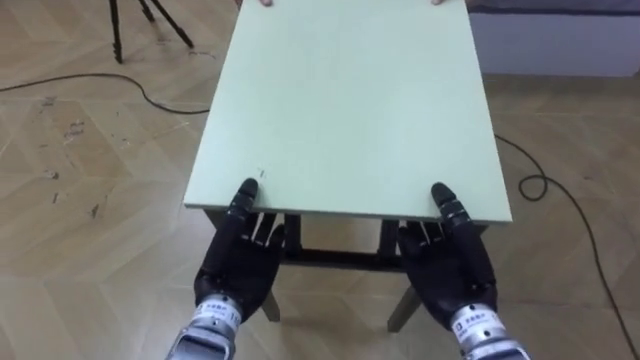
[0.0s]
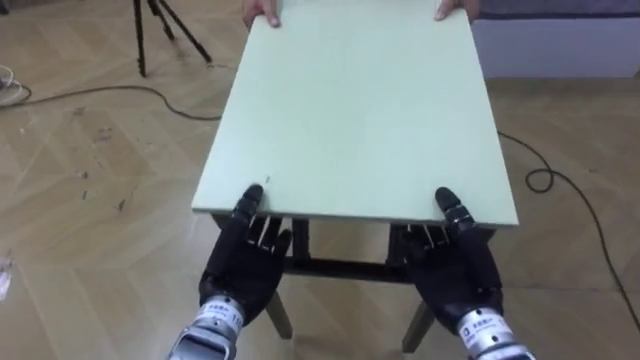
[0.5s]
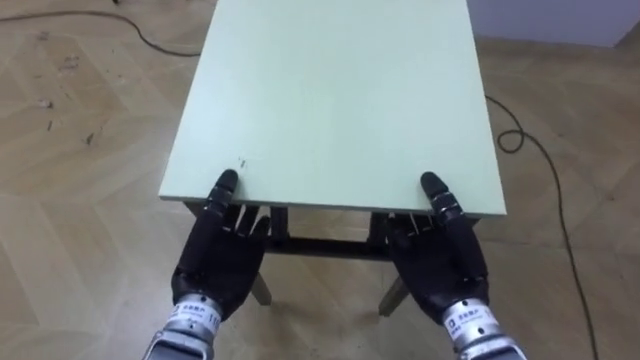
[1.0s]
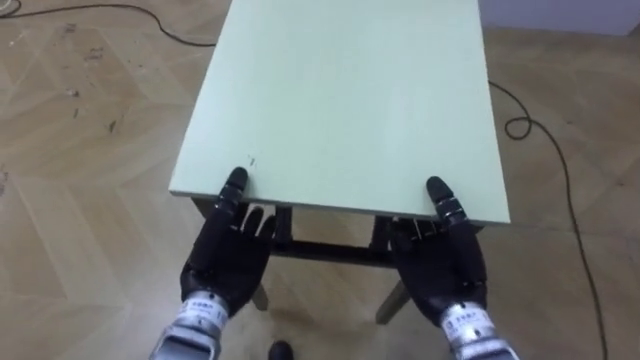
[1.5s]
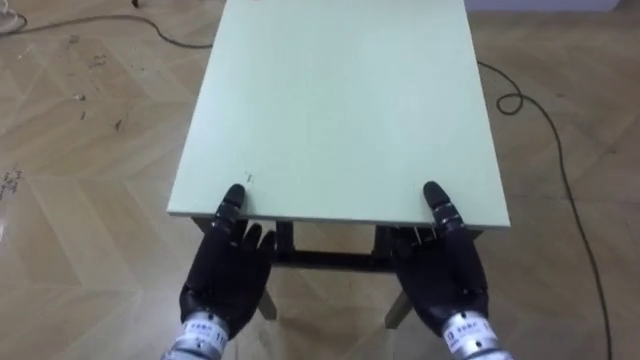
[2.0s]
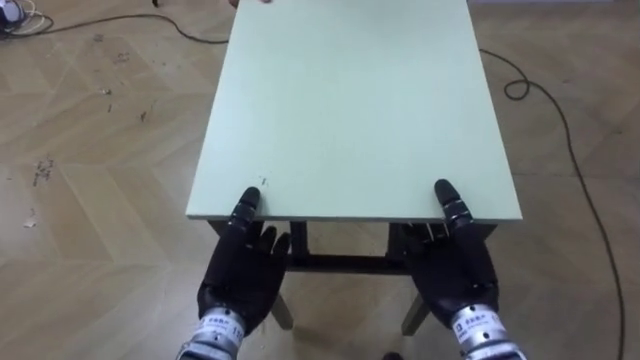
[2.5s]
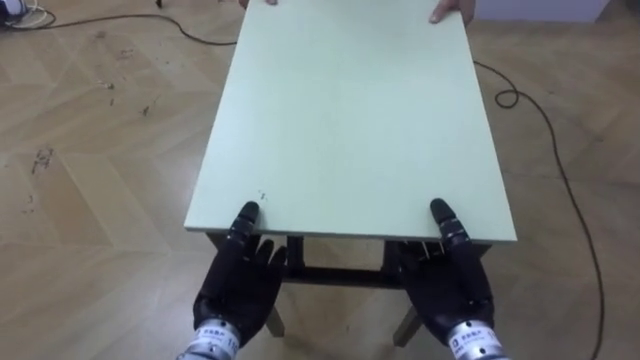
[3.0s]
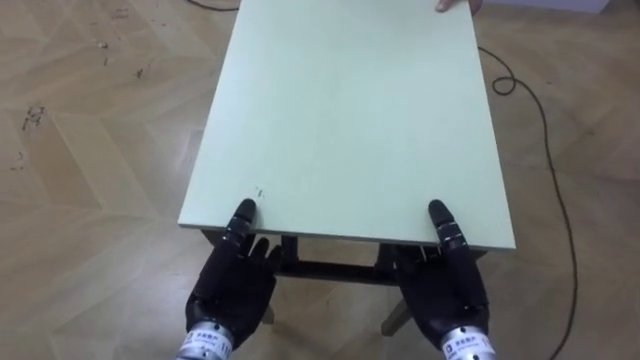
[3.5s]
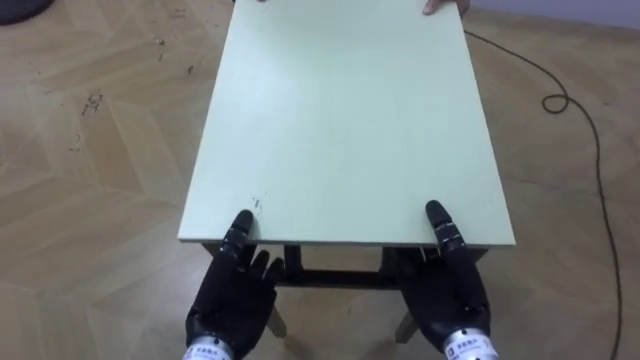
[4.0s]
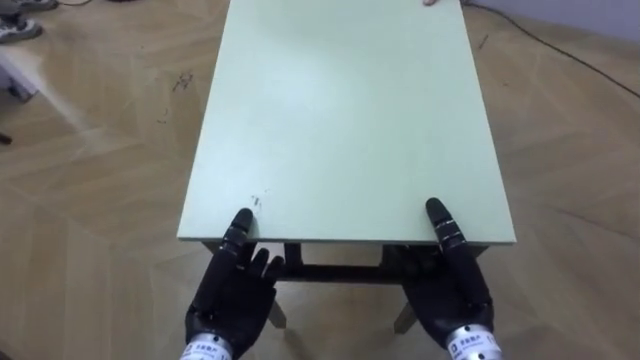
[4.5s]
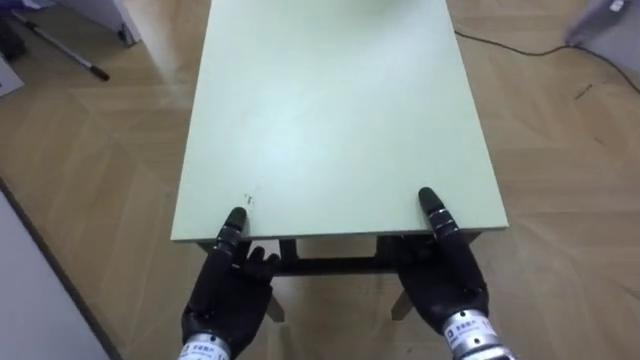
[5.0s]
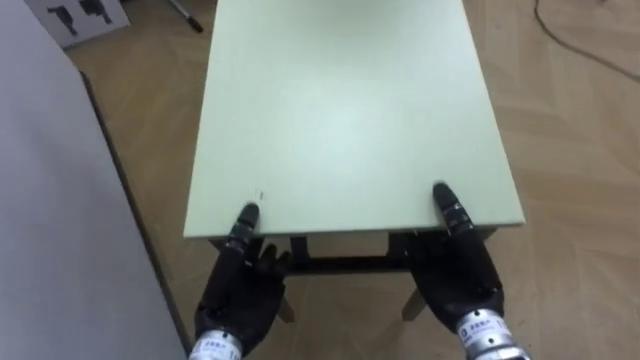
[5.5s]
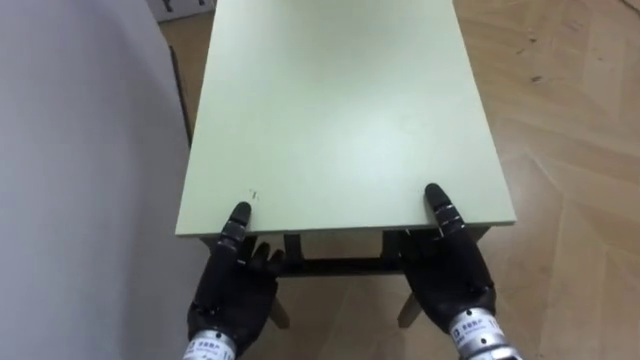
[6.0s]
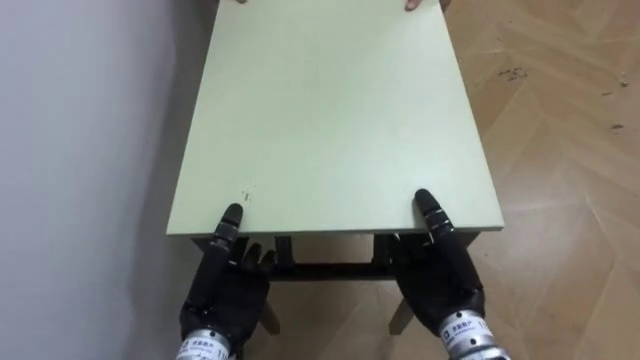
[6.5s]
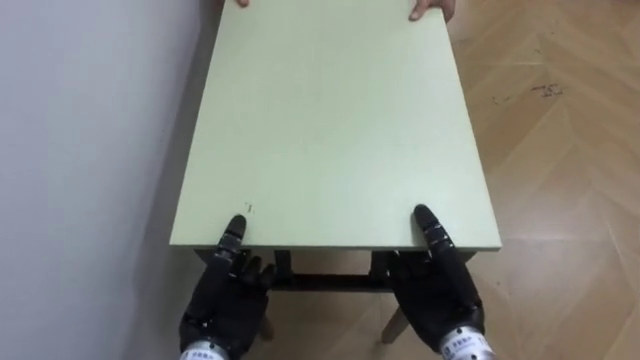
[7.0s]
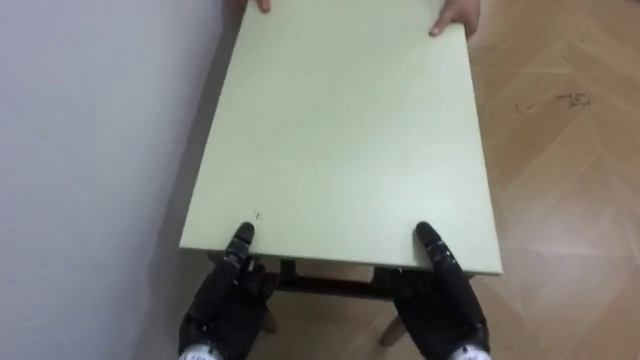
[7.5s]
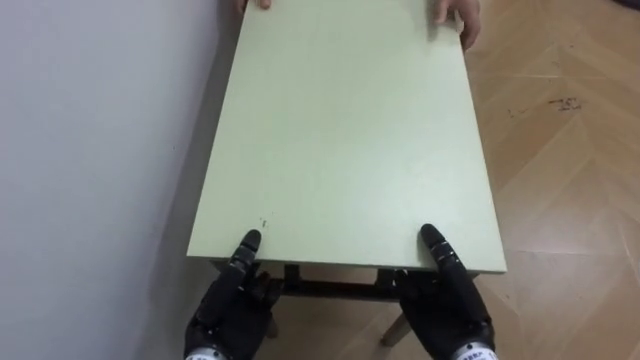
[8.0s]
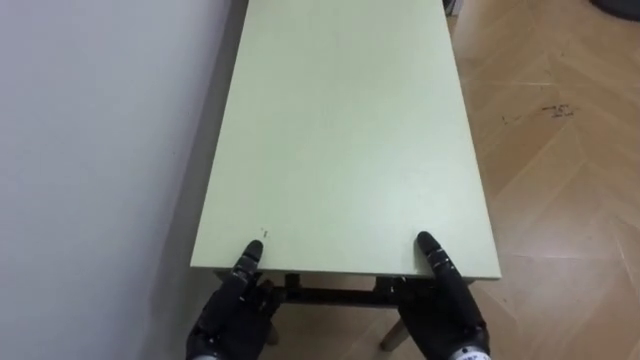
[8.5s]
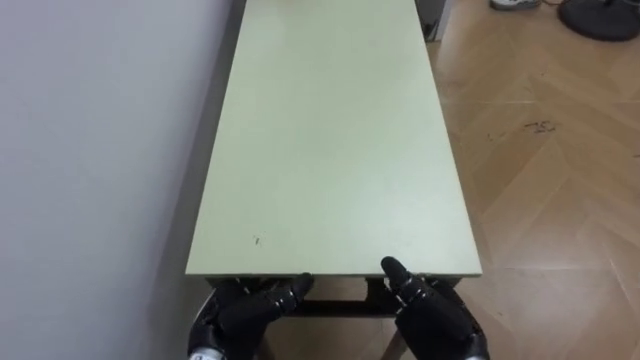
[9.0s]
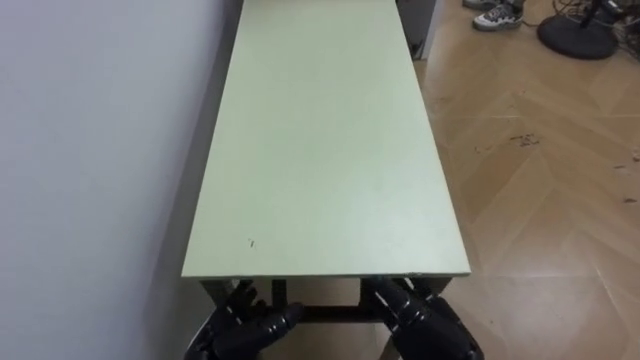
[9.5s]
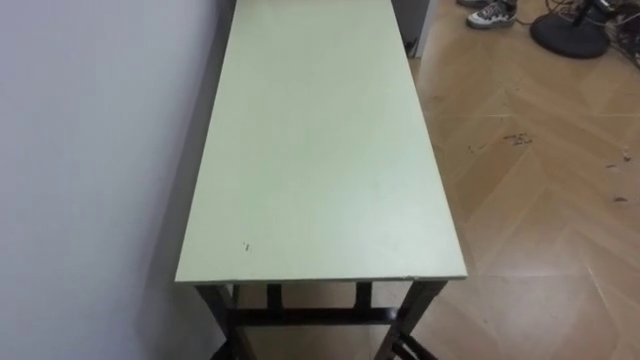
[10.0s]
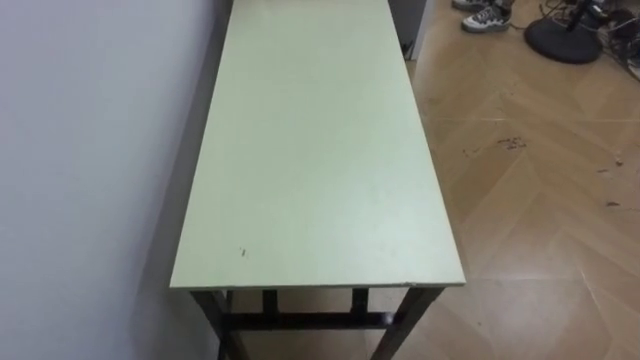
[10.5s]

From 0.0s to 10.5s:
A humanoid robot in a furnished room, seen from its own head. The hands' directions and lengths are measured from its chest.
Task of the whole recording: Move the table to the back left with someone.
From 4.0s to 6.5s: The robot faces roughly 65 degrees further to its left.
From 6.5s to 8.5s: The right hand moves downward, roughly 5 cm; the left hand ends up roughly 5 cm from where it was.

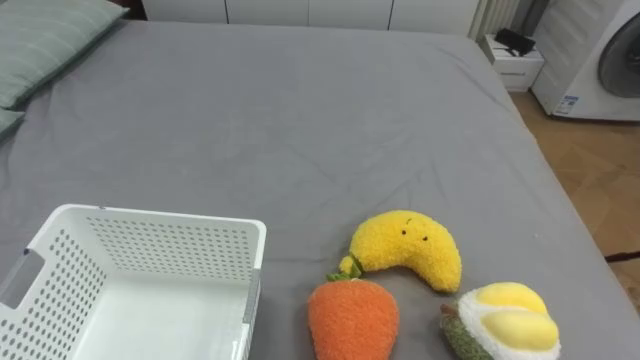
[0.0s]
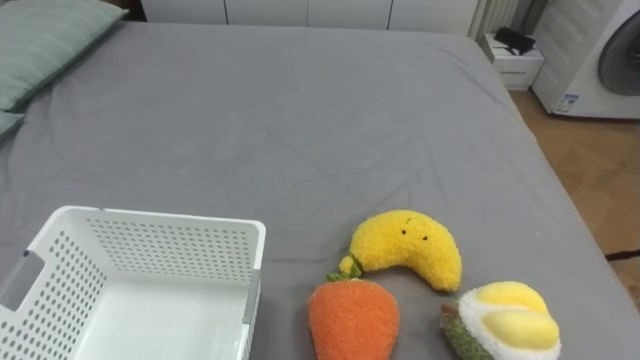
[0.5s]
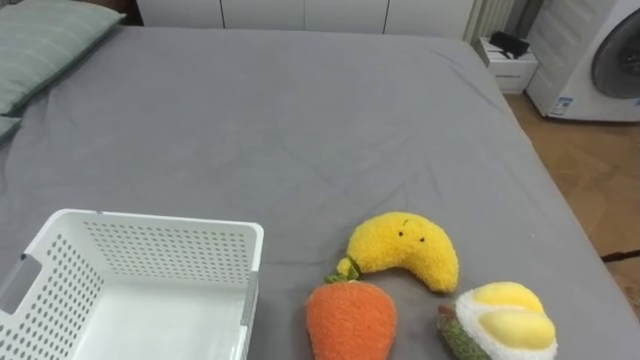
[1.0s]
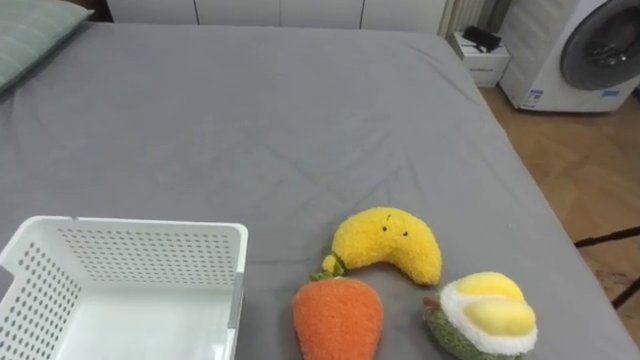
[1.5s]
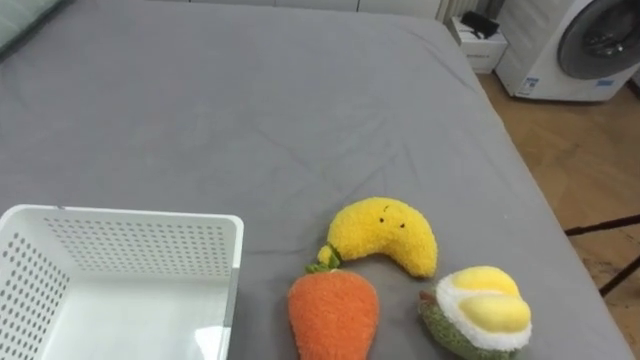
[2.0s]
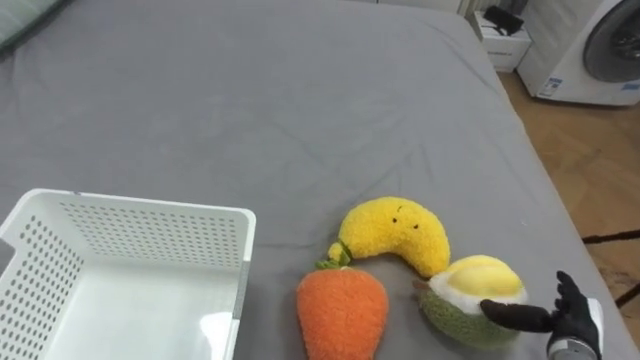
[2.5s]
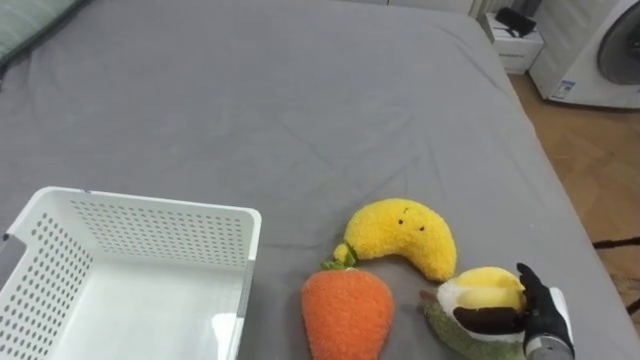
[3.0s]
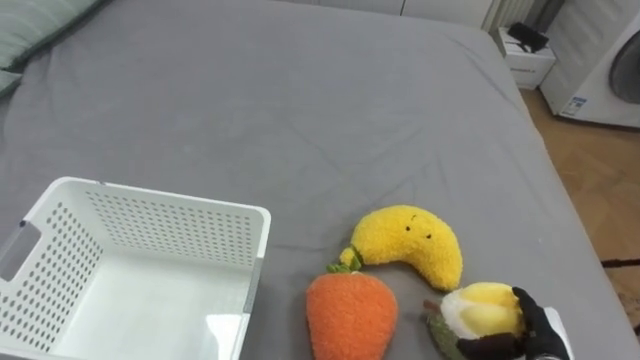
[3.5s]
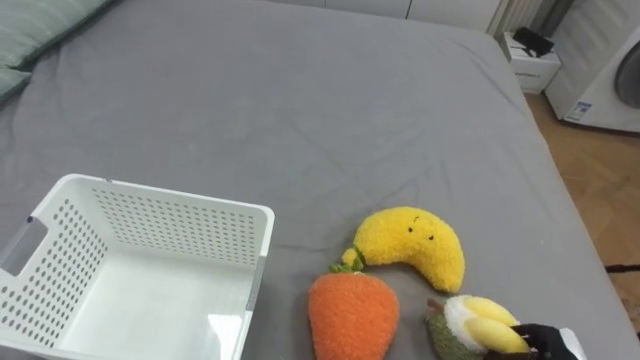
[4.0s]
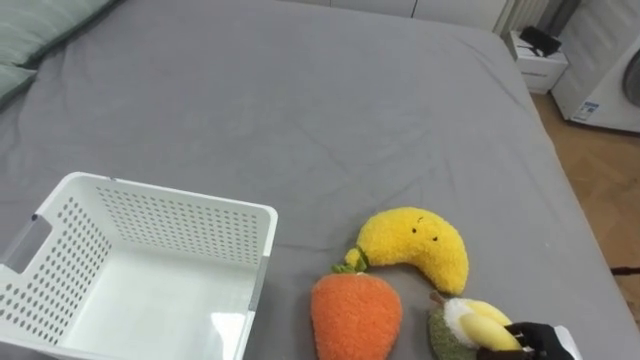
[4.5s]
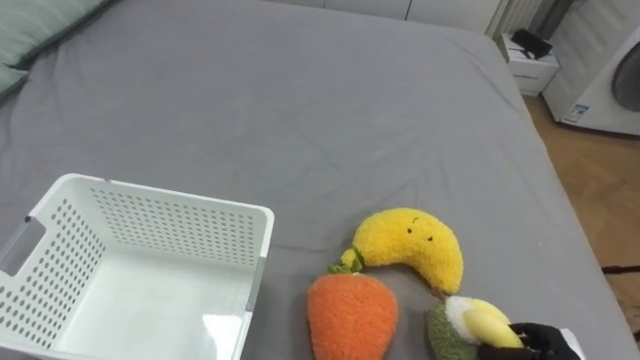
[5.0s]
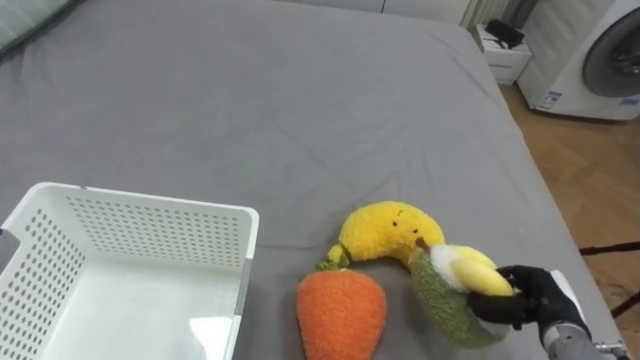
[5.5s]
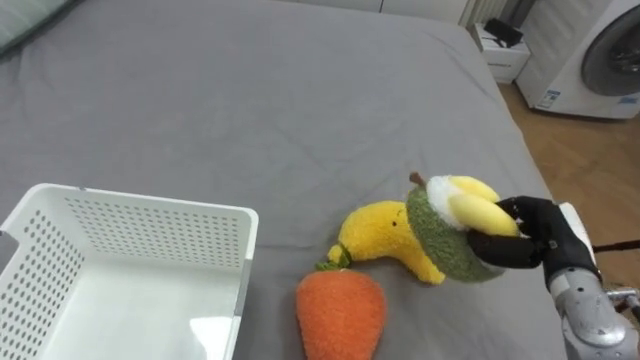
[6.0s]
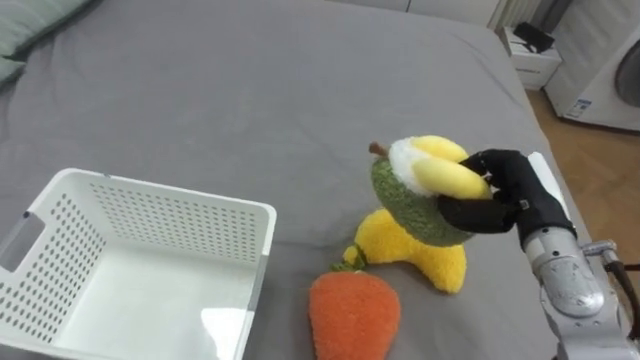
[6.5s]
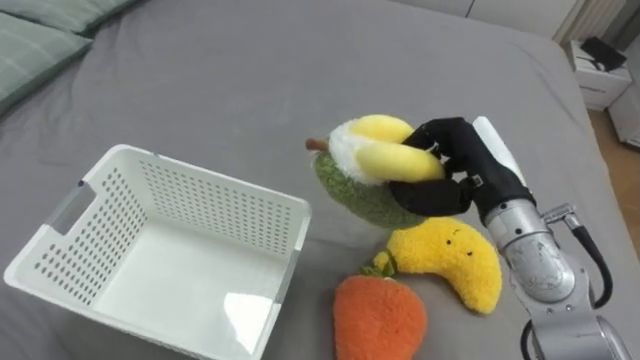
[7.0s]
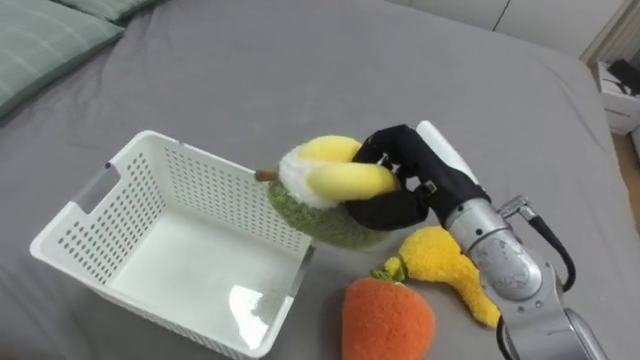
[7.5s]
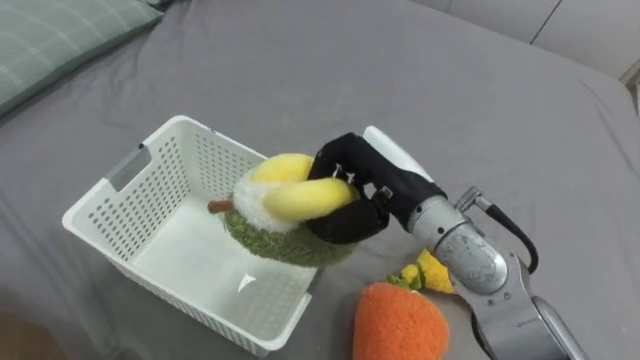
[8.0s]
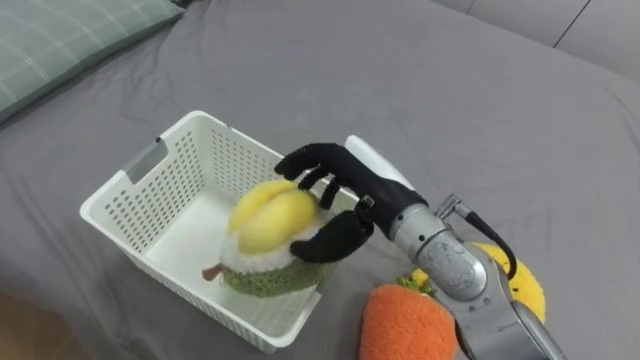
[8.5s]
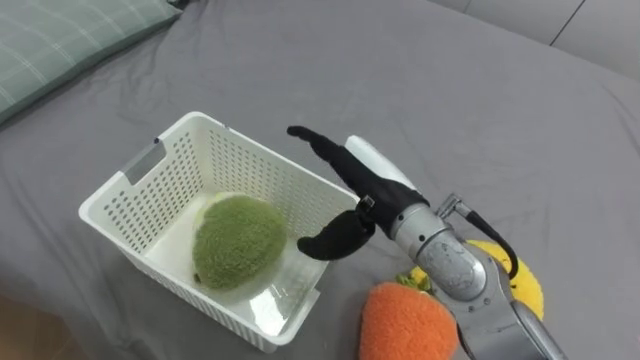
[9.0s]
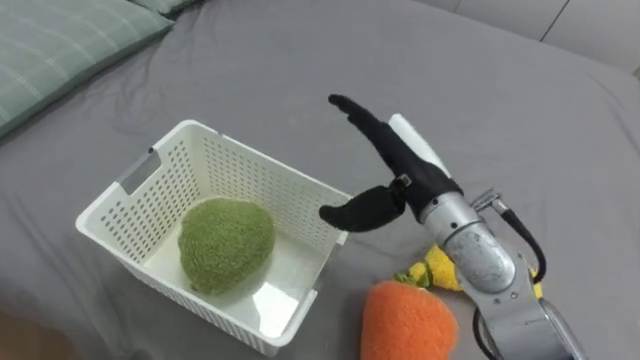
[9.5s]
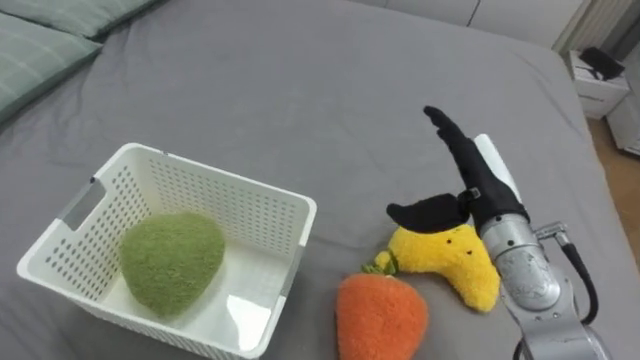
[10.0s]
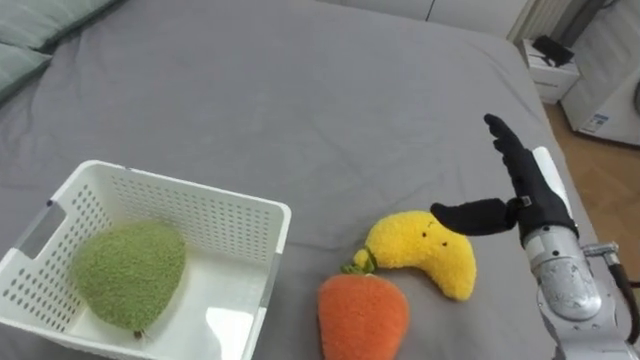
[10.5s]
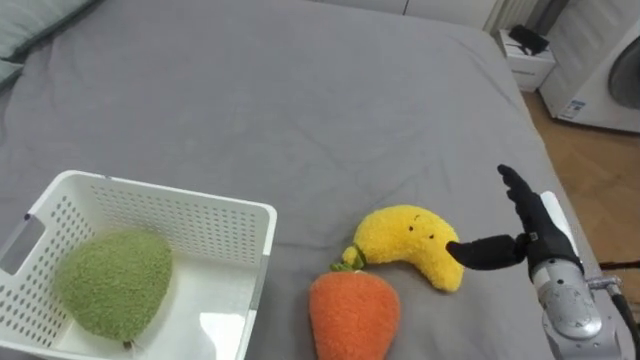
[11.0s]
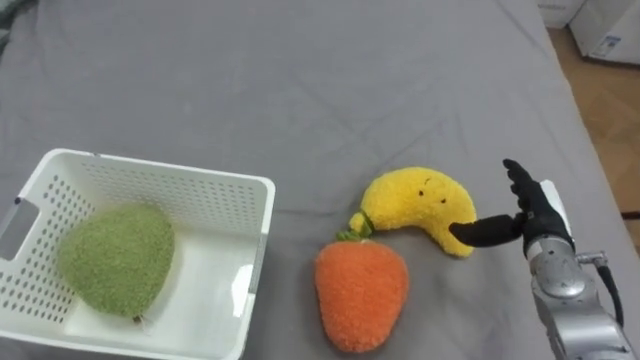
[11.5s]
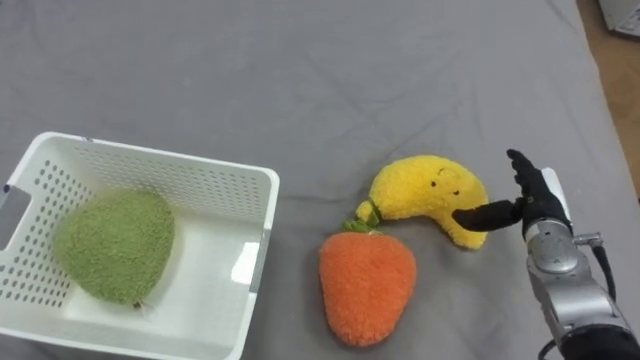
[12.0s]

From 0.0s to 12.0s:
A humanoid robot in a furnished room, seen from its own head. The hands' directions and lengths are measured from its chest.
Task of the whole recording: Put the toys on the bed into the basket on the left.
From 6.0s to 8.0s: The right hand goes some 25 cm to the left and upward.
From 8.0s to 10.0s: The right hand travels to the right by some 10 cm, and opens.
From 10.0s to 12.0s: The right hand goes approximately 15 cm to the right and downward.
